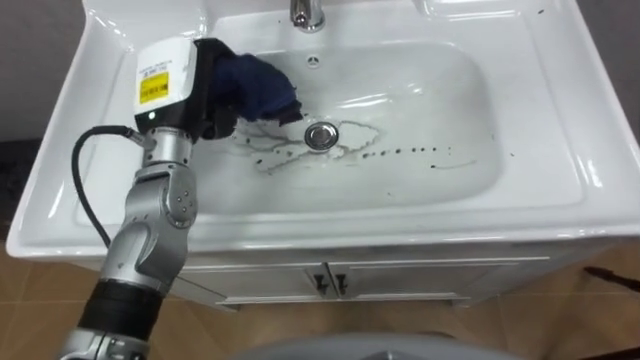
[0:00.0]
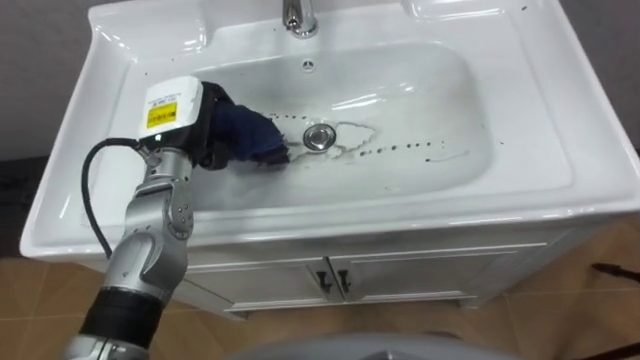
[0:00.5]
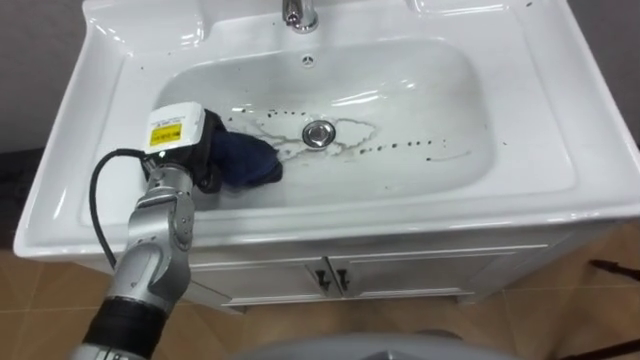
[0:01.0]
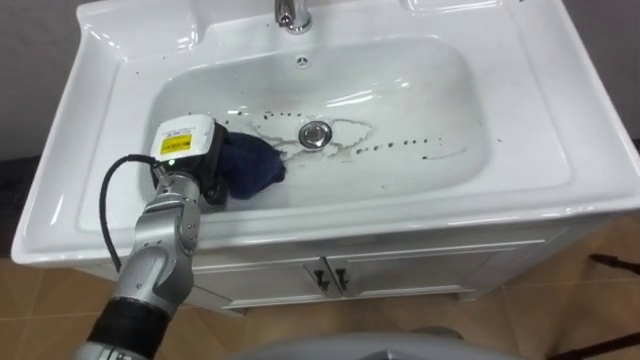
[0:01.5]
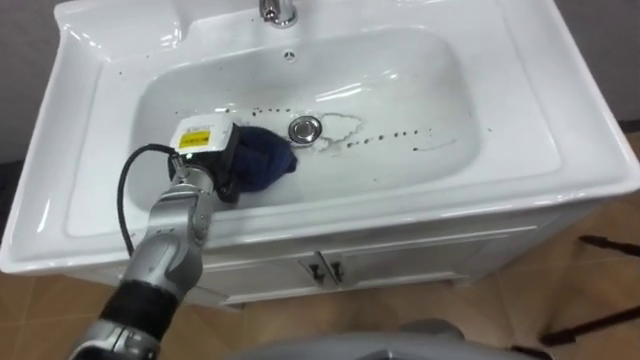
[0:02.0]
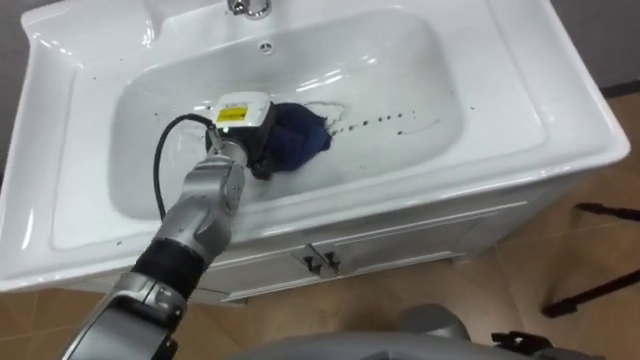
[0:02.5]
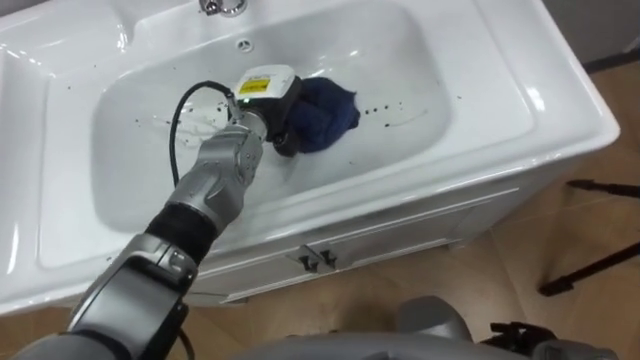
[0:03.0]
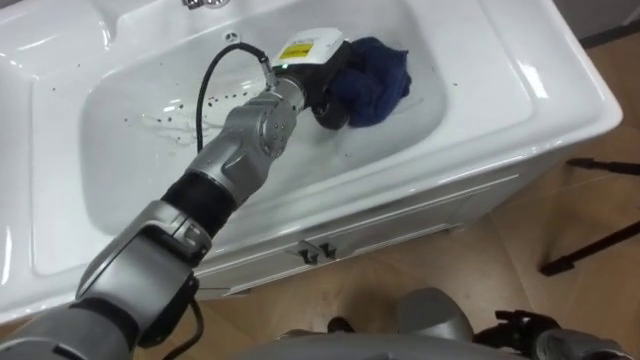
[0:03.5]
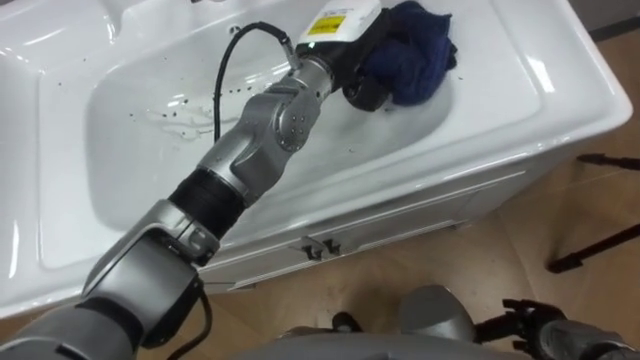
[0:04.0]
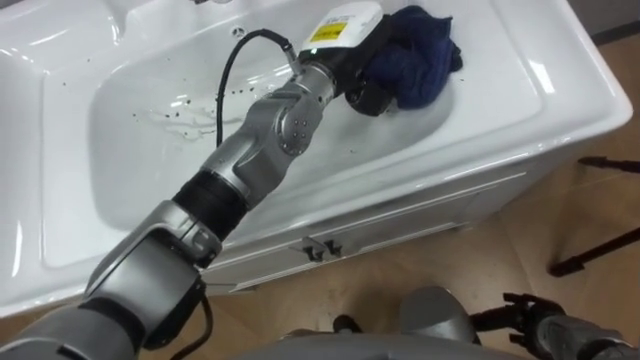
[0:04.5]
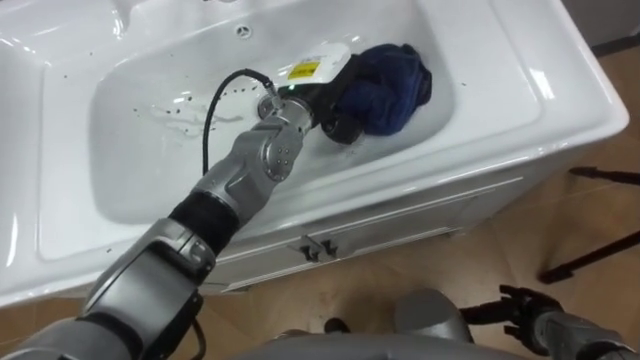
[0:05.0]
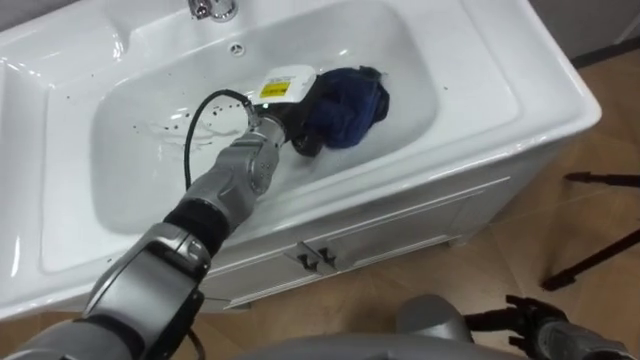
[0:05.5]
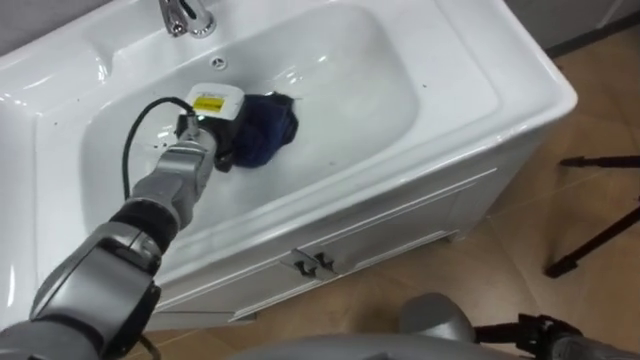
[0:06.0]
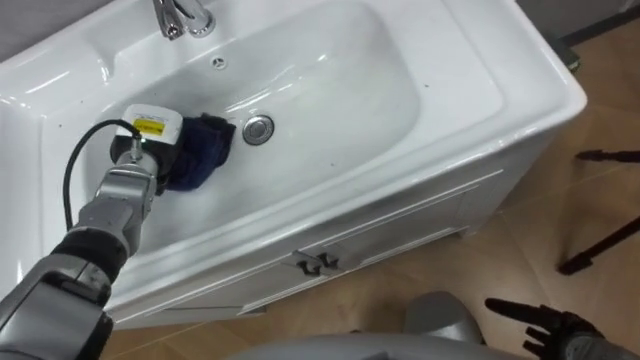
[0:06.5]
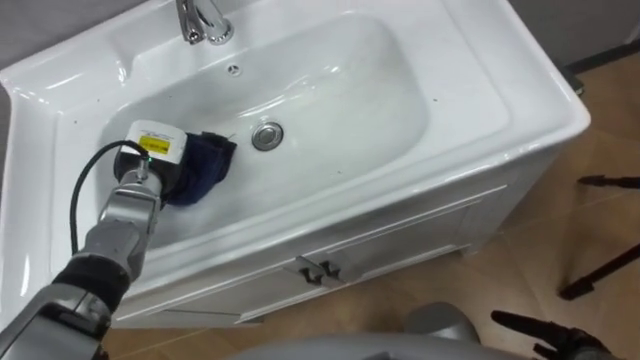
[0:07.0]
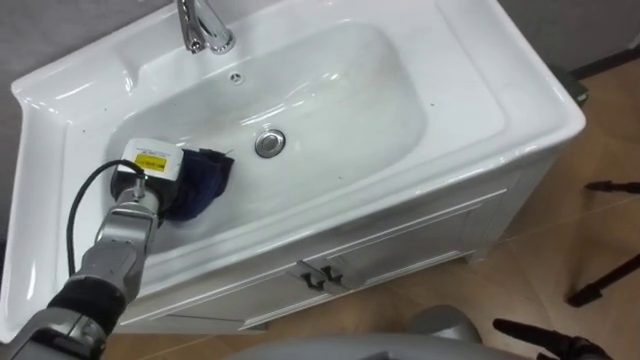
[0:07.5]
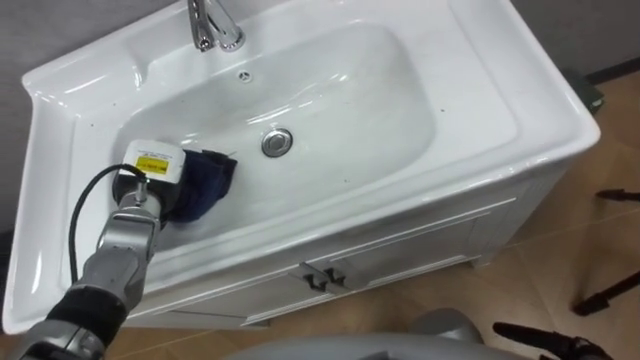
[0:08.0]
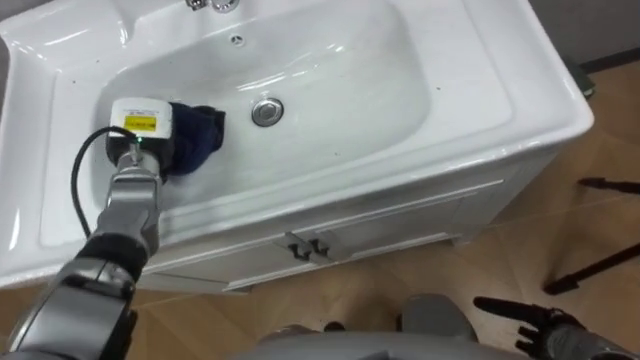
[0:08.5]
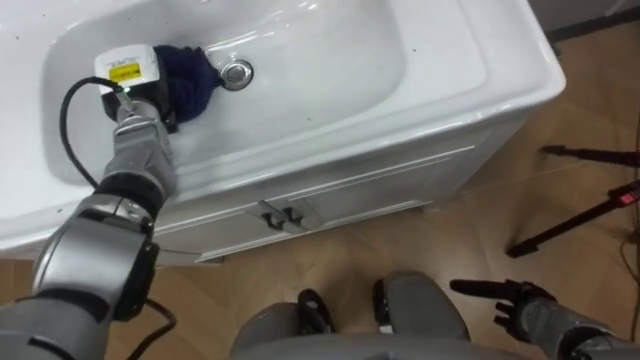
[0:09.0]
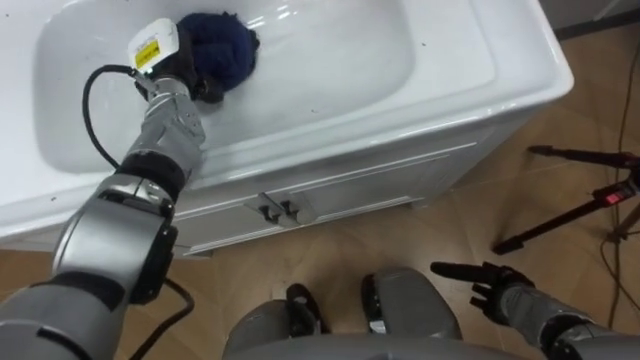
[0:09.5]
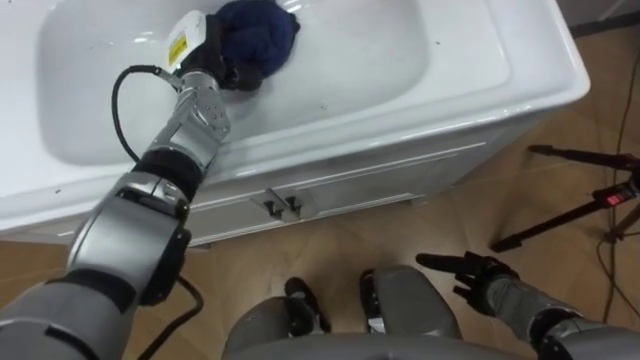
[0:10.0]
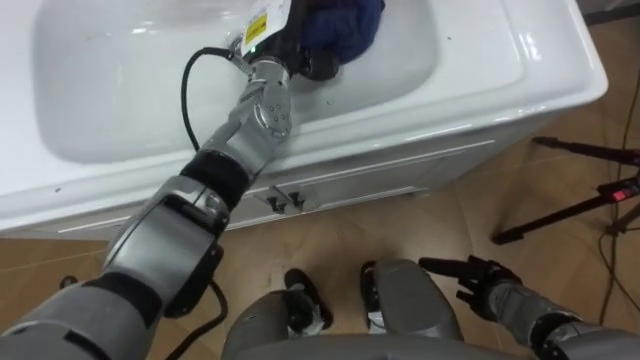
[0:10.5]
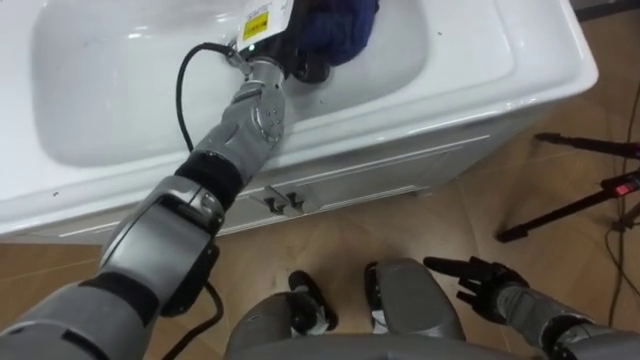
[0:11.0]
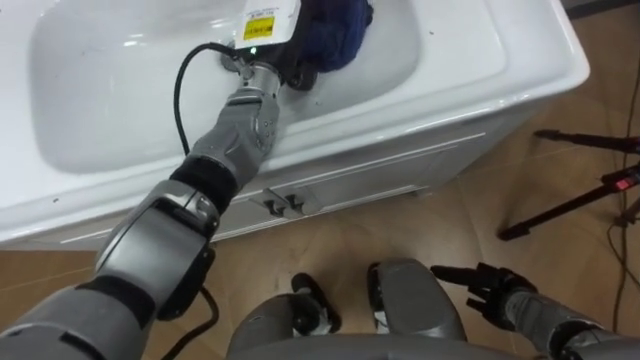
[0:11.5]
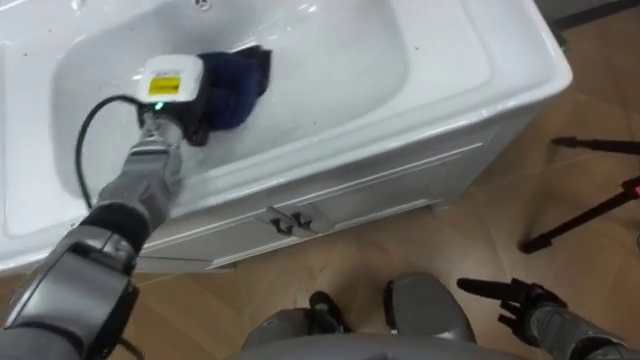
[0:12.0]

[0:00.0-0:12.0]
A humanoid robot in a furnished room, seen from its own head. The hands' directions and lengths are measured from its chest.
Task of the whole recording: Use the cloth on the right to wipe away the black stain in the sink.
0:00.0 to 0:02.0: The left hand moves downward, about 10 cm.
0:02.0 to 0:04.0: The left hand moves to the right and upward, approximately 25 cm.
0:04.0 to 0:06.0: The left hand moves to the left and downward, about 25 cm.
0:06.0 to 0:08.0: The left hand shifts roughly 15 cm to the left and backward.
0:08.0 to 0:10.0: The left hand is displaced forward, upward and to the right by approximately 20 cm.
0:10.0 to 0:12.0: The right hand is displaced to the right by some 5 cm; the left hand reaches some 10 cm to the right, then returns.

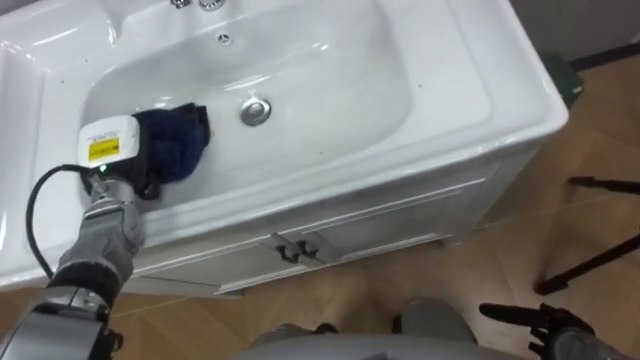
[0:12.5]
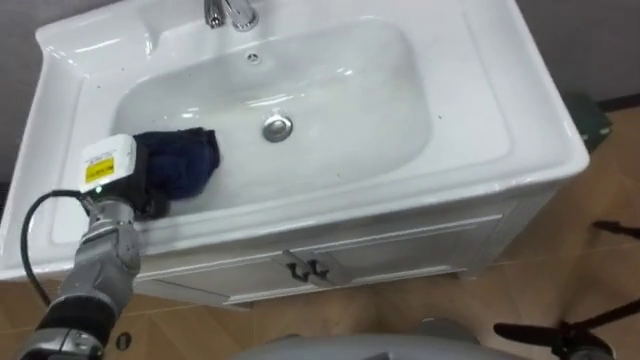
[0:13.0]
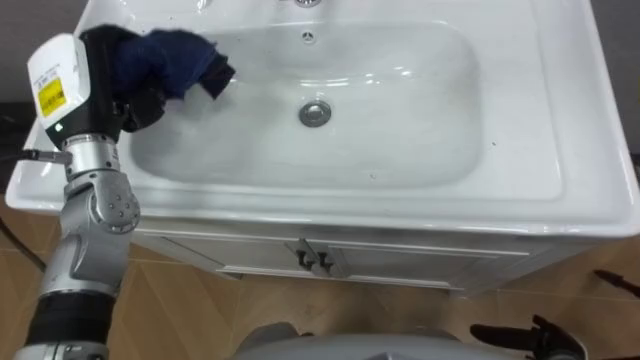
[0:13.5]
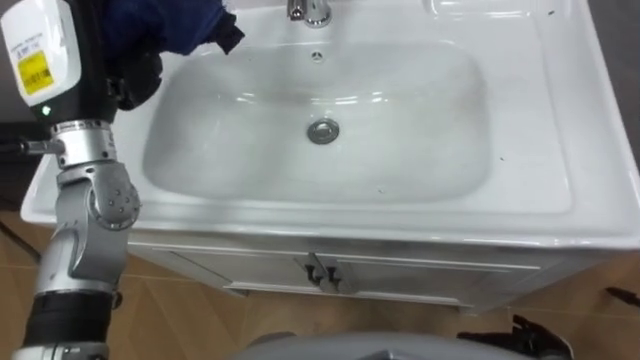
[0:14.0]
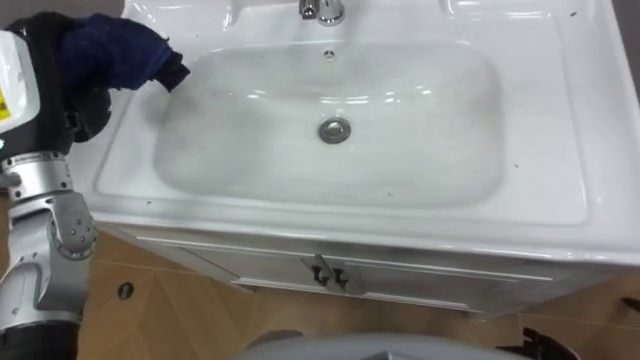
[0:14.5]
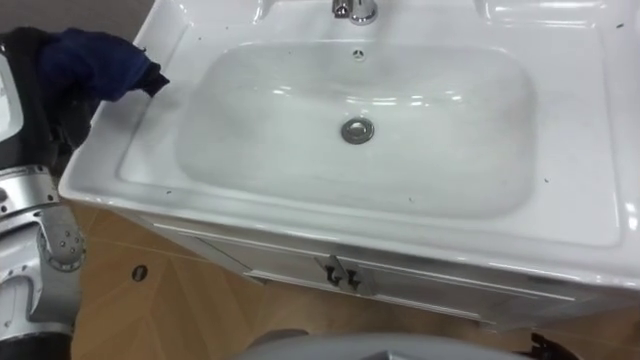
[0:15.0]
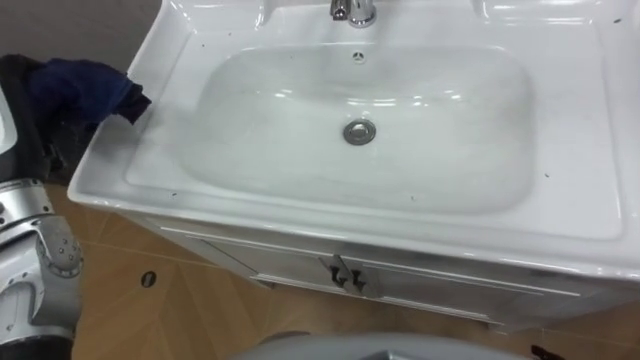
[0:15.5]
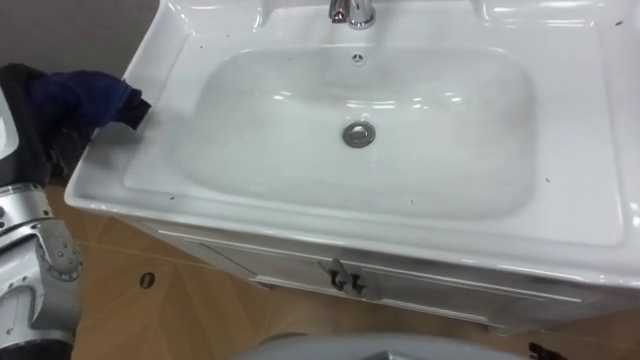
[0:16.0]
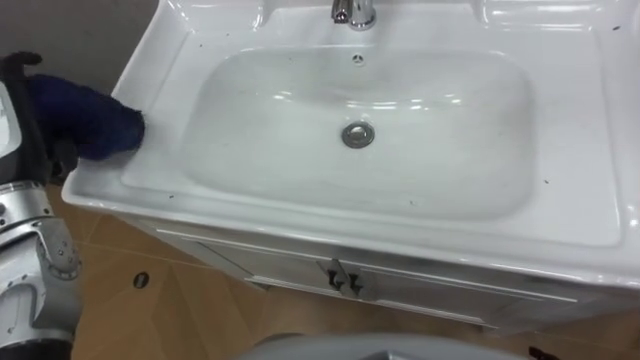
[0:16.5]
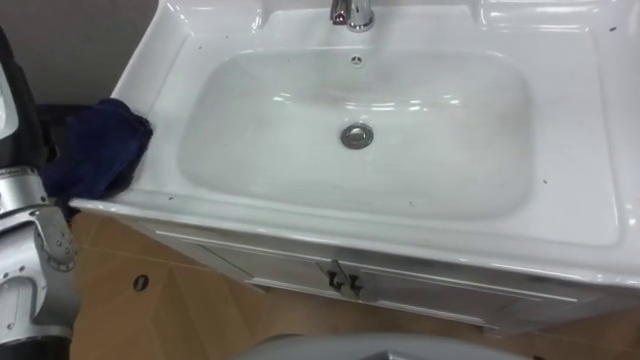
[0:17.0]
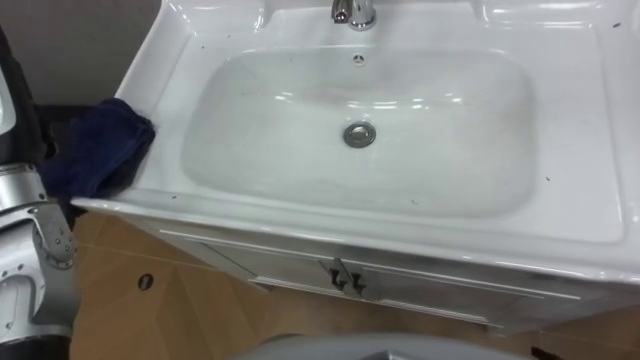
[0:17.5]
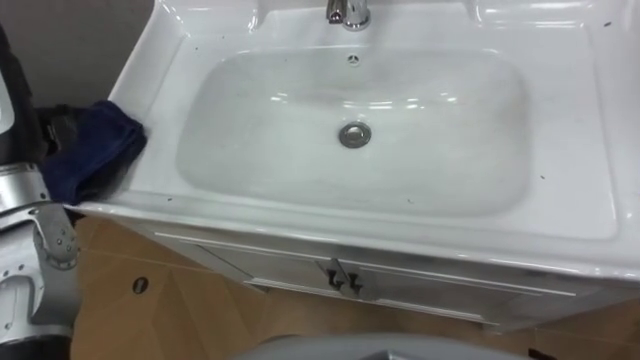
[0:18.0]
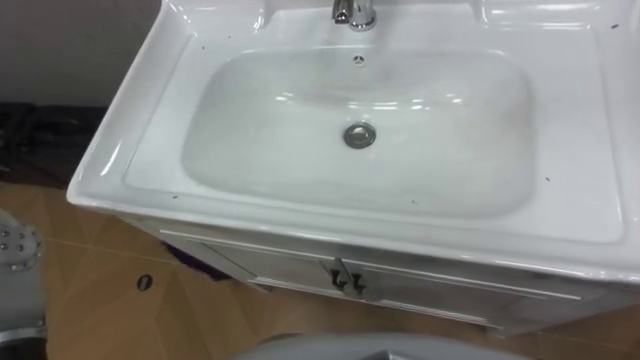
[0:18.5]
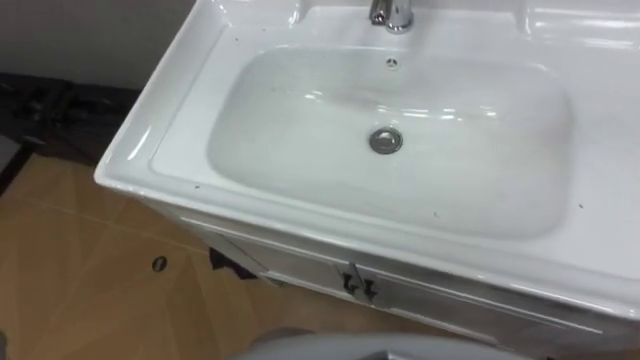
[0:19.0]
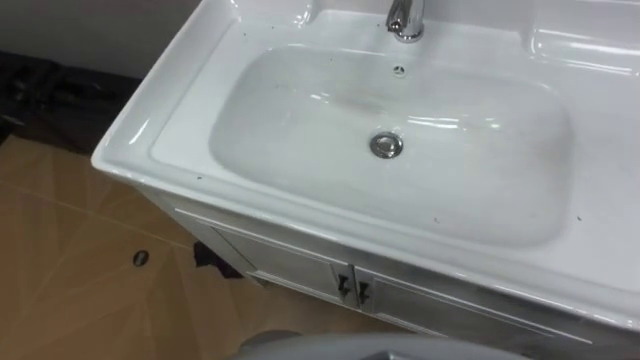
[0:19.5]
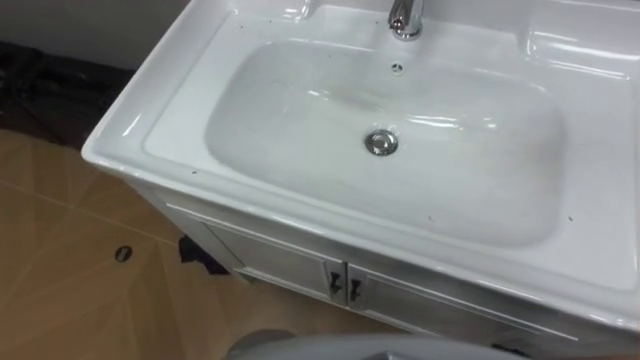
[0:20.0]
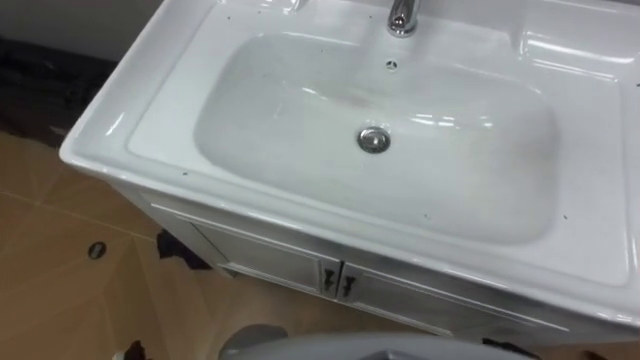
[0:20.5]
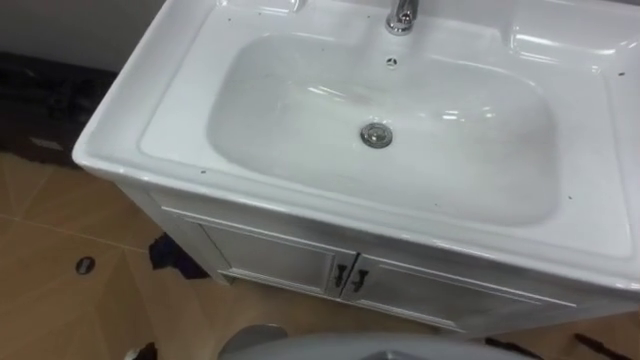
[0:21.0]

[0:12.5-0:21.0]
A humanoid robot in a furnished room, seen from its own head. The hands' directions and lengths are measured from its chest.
Task of the whole recording: Use the cloth on the right to wipe away the black stain in the sink.
0:12.5 to 0:14.5: The left hand moves upward, roughly 20 cm.
